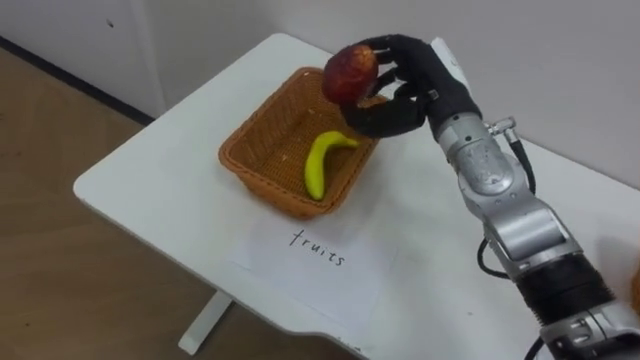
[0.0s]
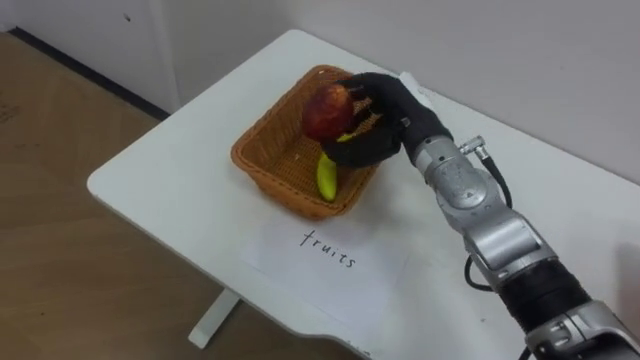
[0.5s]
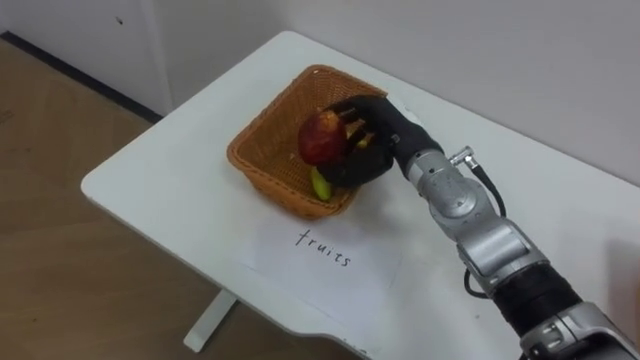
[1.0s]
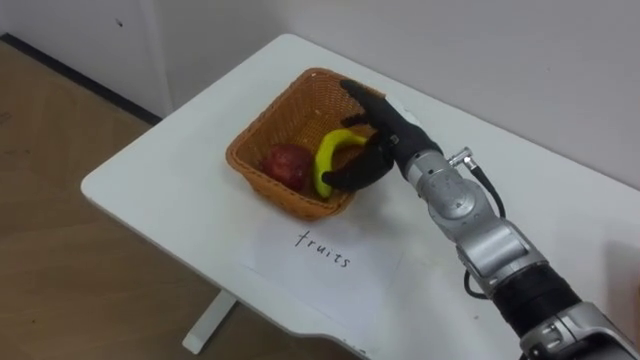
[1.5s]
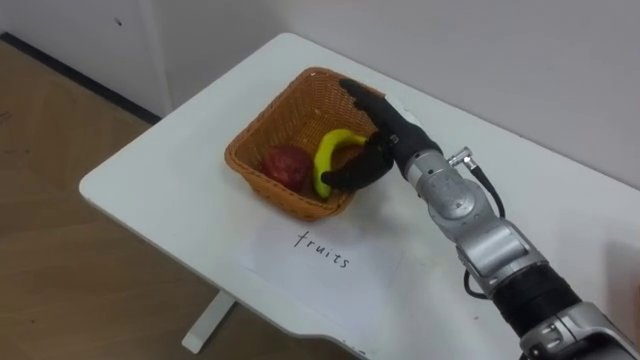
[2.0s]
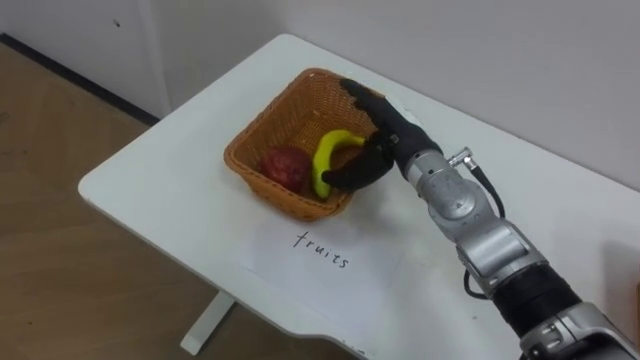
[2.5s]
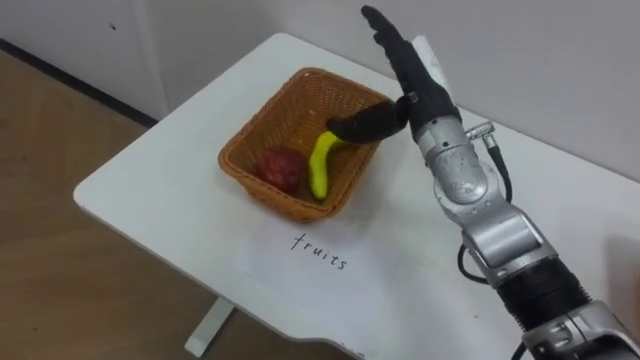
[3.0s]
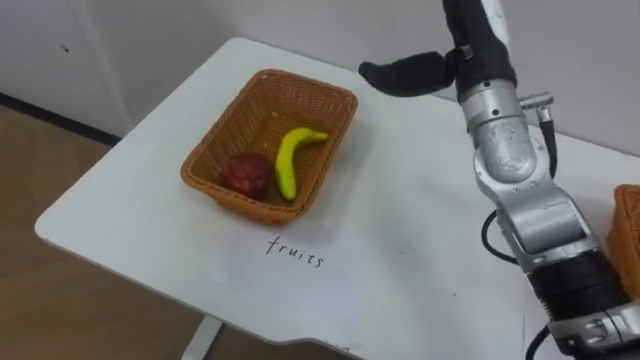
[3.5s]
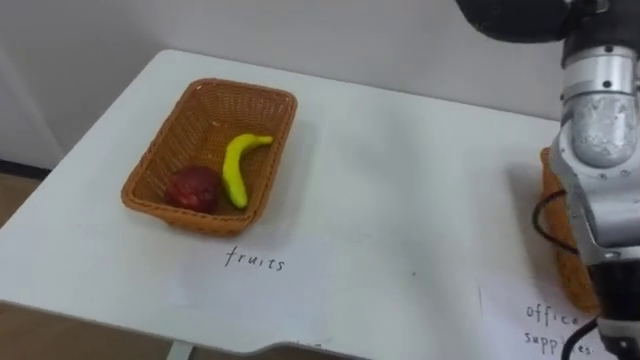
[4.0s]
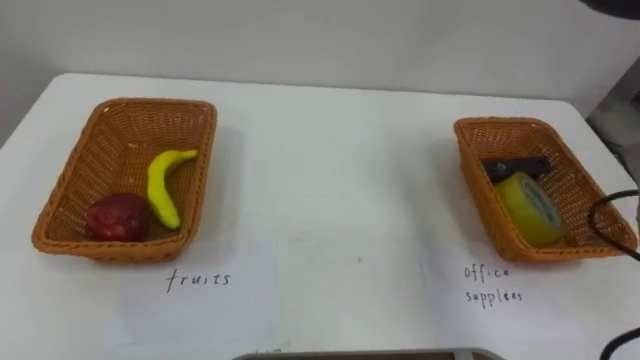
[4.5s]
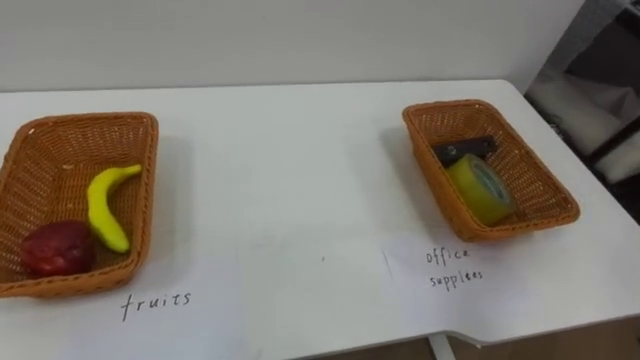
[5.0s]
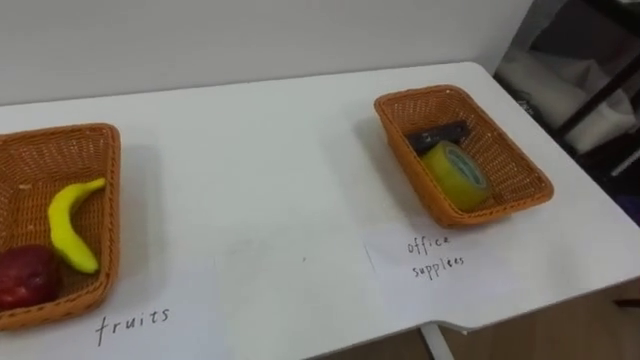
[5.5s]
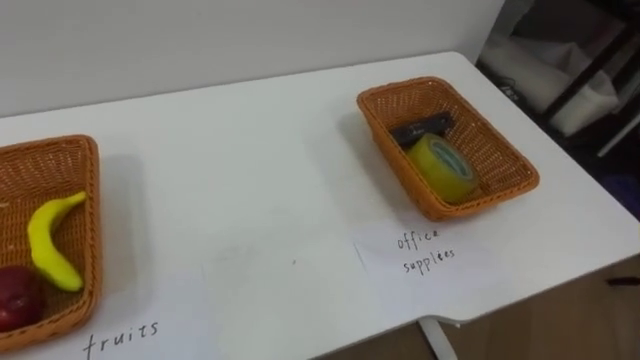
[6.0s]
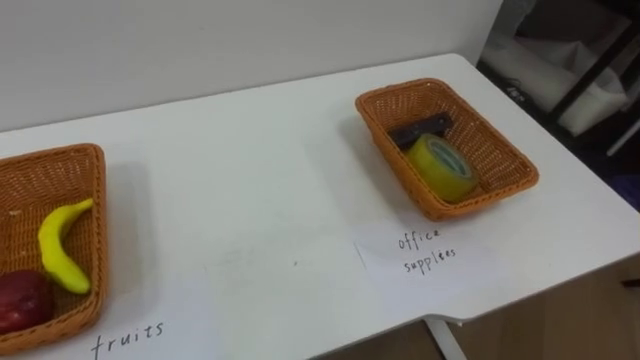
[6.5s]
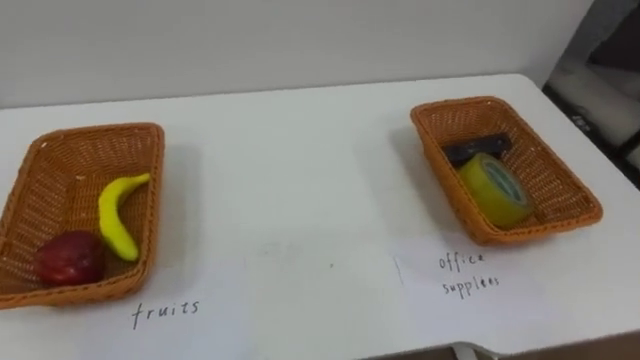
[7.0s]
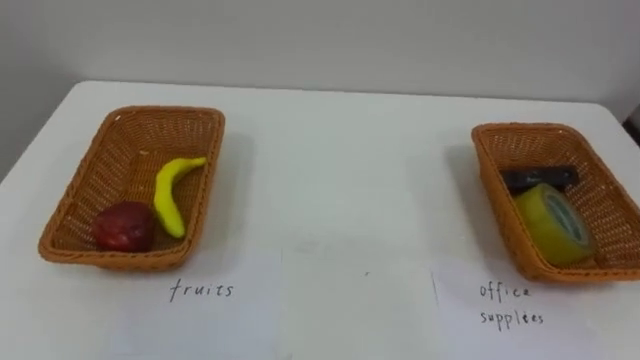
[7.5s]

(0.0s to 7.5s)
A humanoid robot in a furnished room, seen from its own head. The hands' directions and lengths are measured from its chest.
Task of the whole recording: Separate the items on the table and place them into the two baskets.
0.0s - 2.0s: The right hand goes about 5 cm downward, and opens up.
2.0s - 4.0s: The right hand is displaced upward and to the right by some 25 cm.

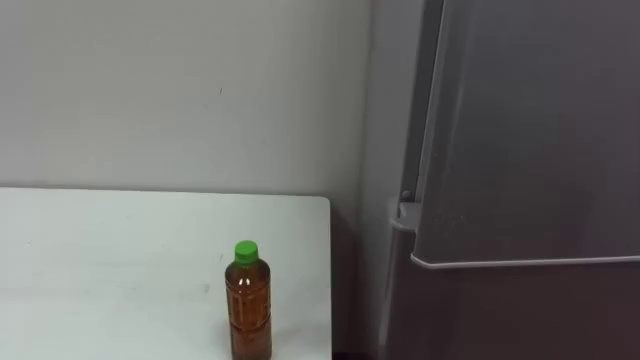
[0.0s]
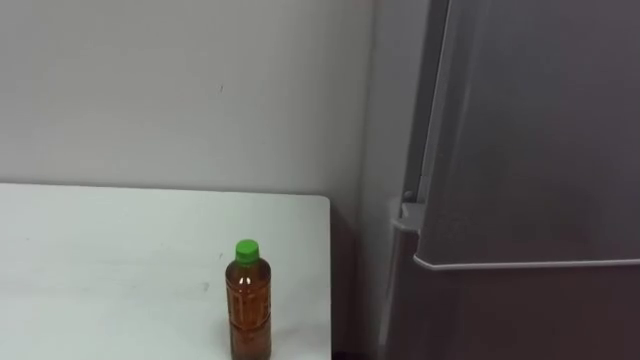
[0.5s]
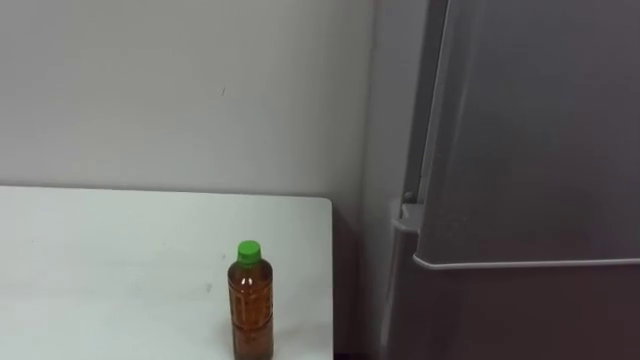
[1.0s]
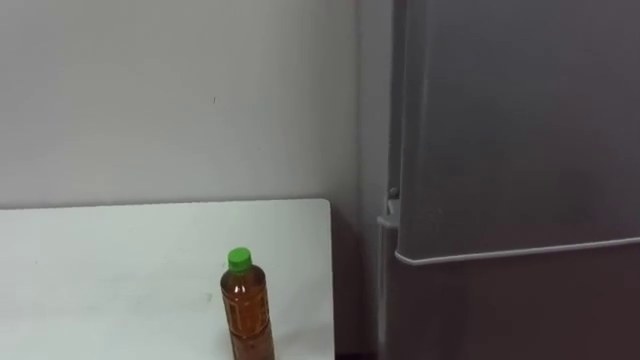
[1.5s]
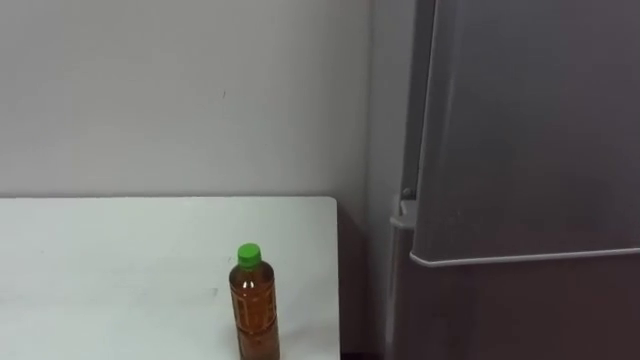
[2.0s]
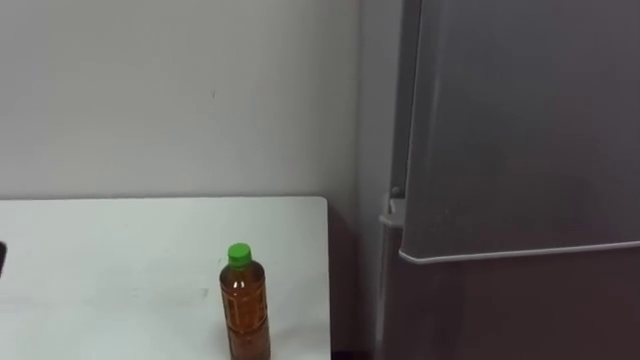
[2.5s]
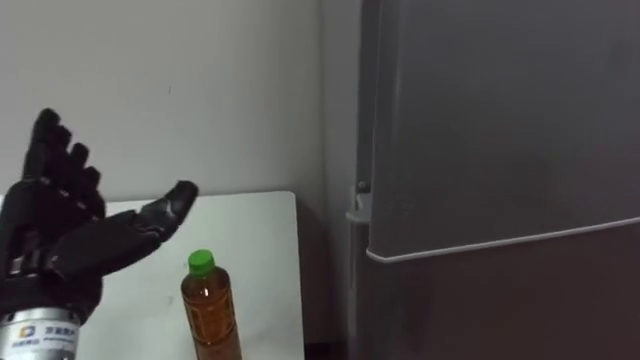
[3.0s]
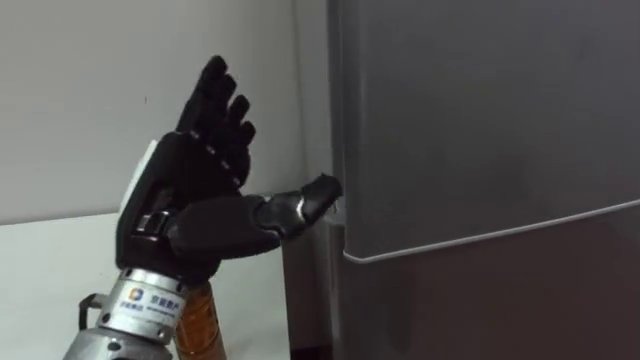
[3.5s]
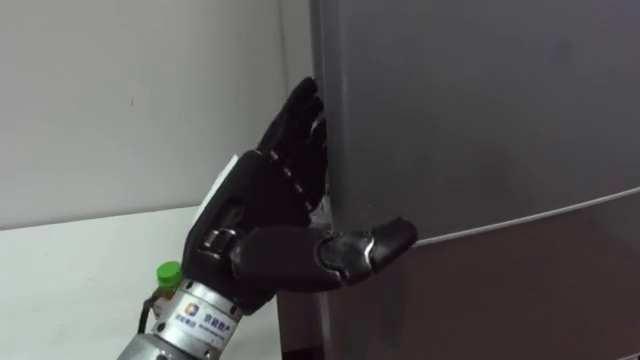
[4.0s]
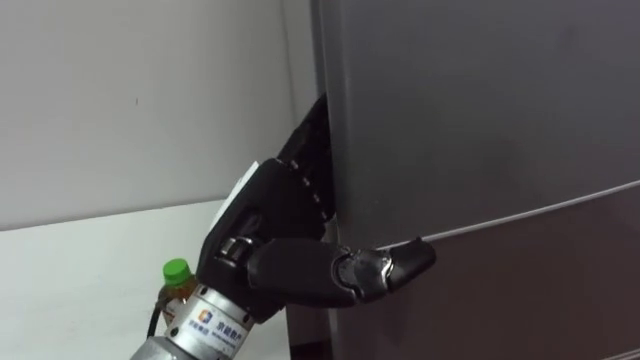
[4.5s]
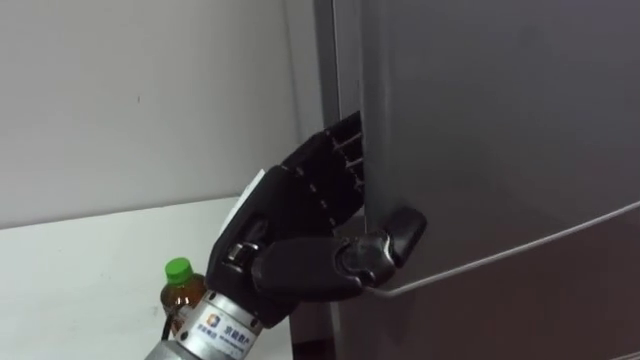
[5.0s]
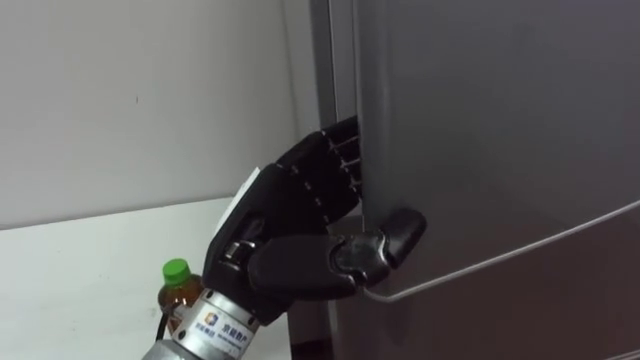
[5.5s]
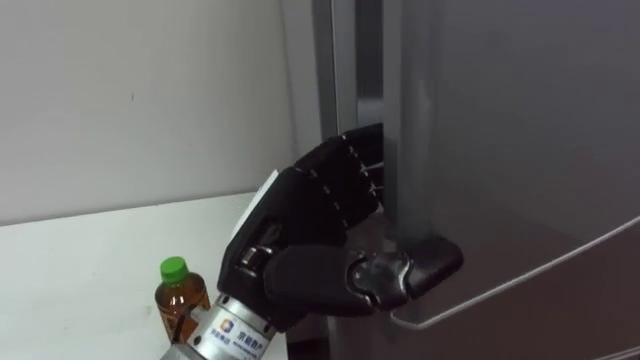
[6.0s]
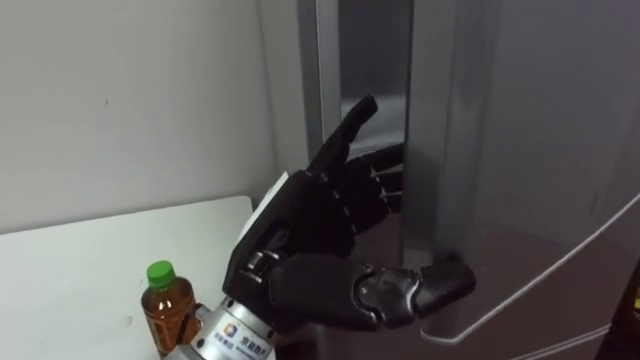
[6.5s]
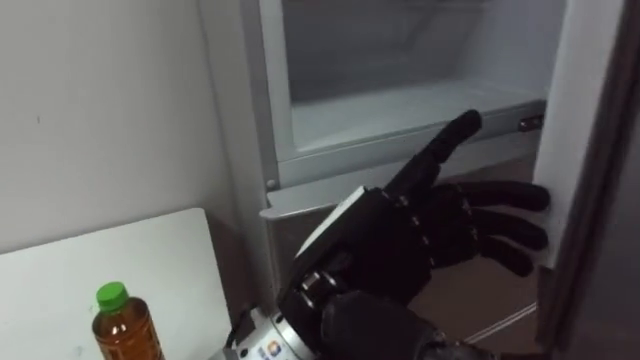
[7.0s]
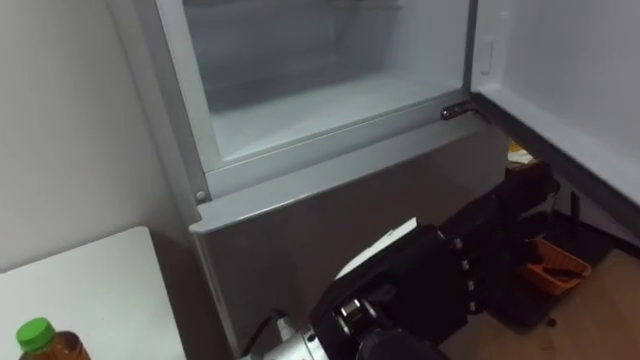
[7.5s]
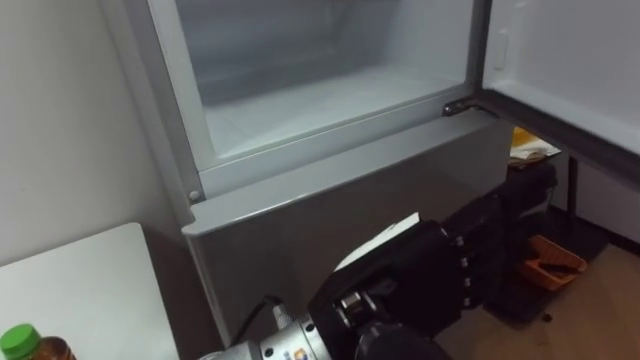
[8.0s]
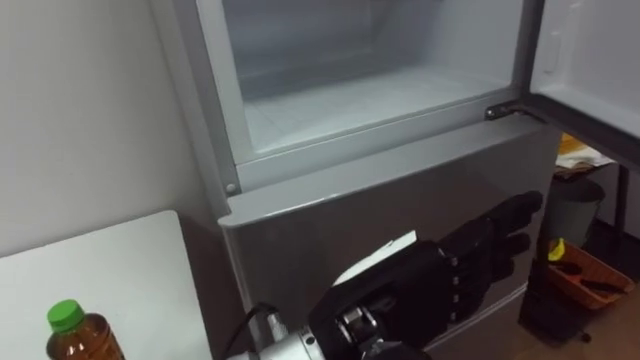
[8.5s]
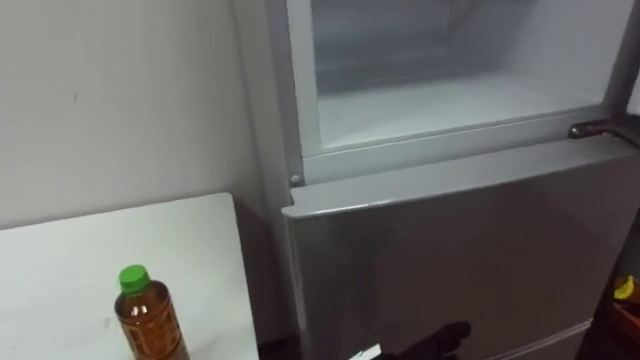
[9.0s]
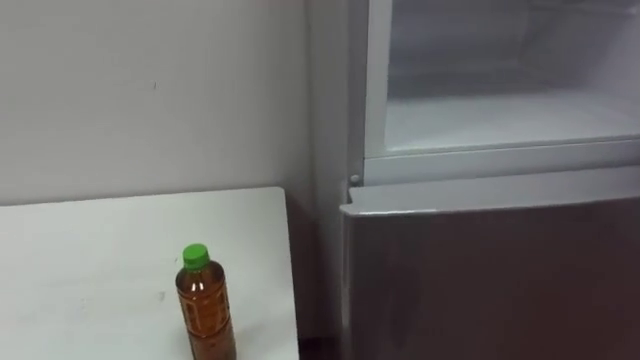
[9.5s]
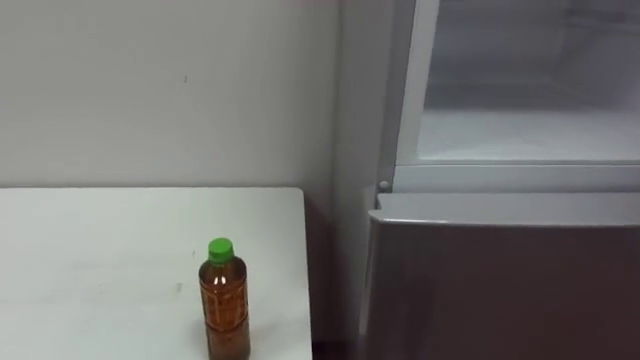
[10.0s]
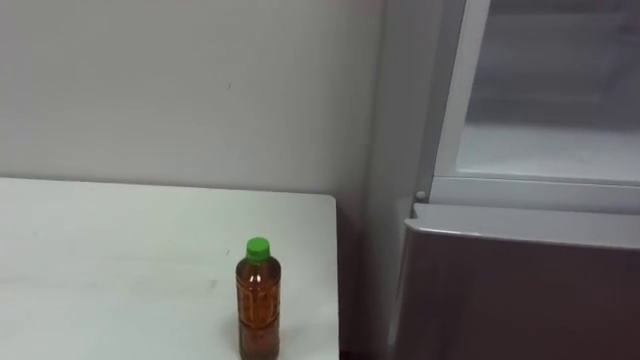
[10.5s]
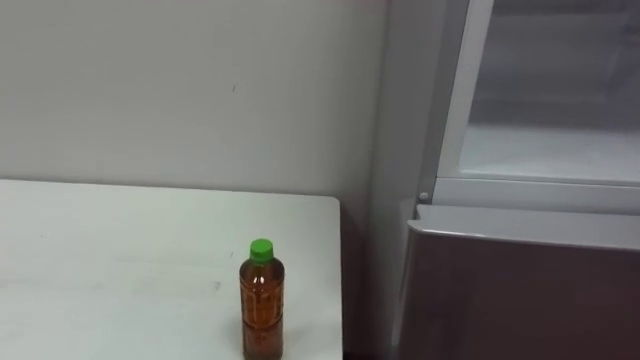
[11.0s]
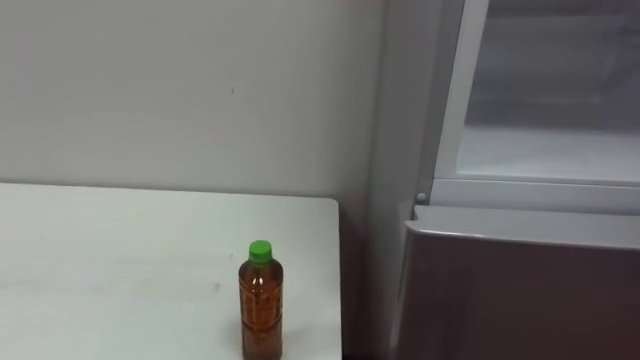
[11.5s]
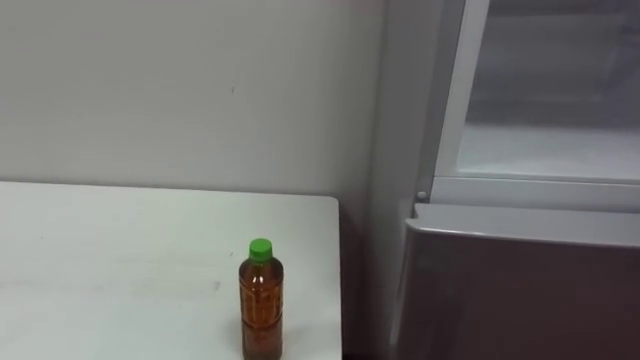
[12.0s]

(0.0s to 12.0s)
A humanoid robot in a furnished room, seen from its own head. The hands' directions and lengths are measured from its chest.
Task of the whole recording: Open the upper refrigerator door, put the drink from the table into the refrigerator, and then close the refrigerator door.
6.0s - 8.0s: The left hand is displaced to the right by about 5 cm.

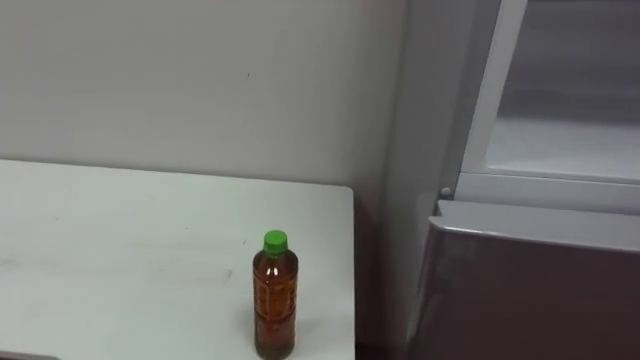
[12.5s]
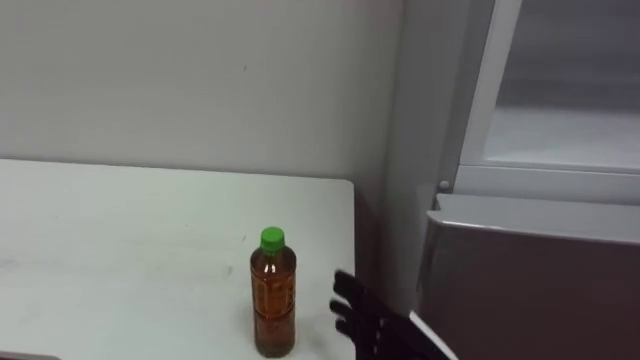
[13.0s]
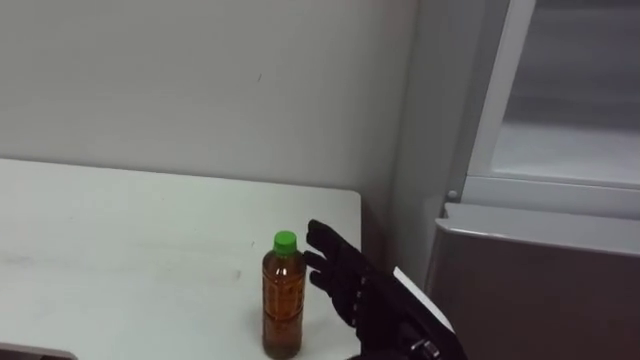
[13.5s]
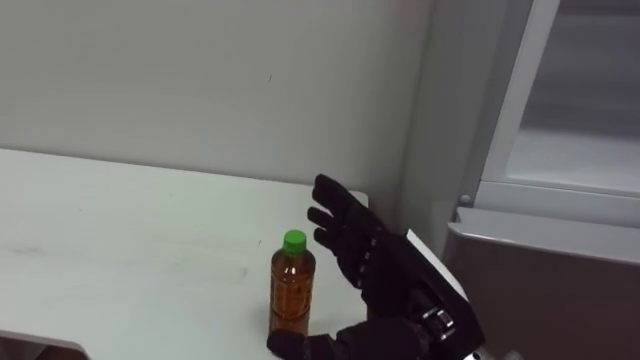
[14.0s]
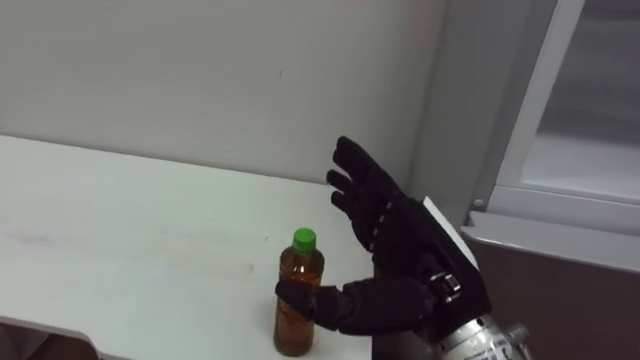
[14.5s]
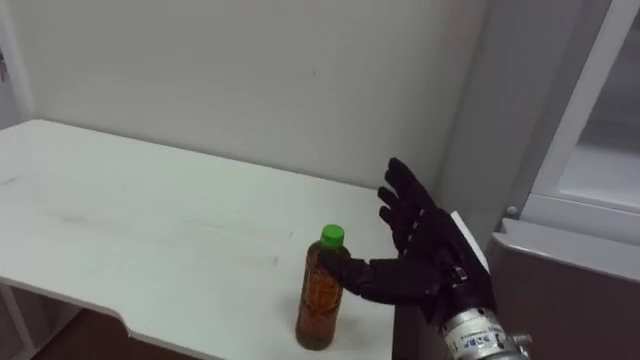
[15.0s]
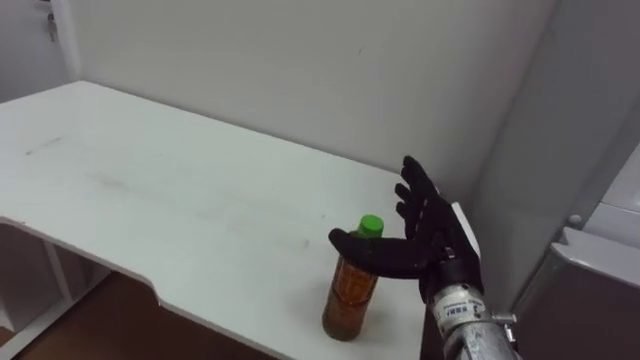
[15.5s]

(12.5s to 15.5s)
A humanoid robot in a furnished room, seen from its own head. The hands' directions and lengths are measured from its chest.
Task of the whole recording: Open the upper refrigerator door, put the drink from the table into the refrigerator, and then close the refrigerator door.
14.0s - 15.5s: The right hand travels forward by some 10 cm.
